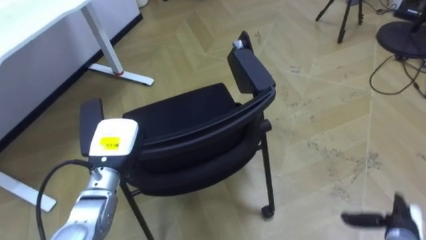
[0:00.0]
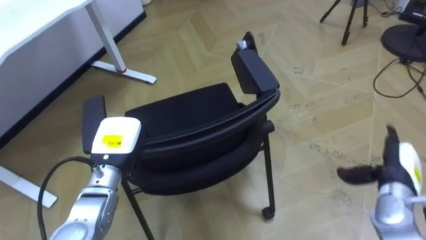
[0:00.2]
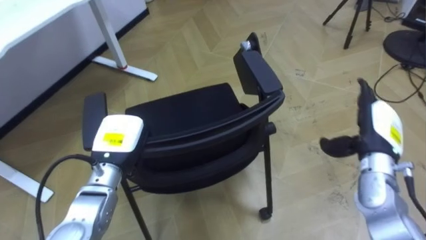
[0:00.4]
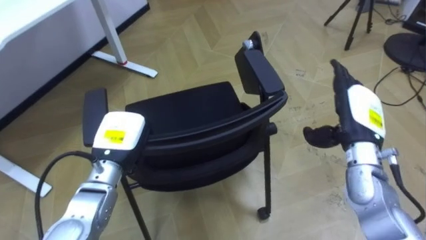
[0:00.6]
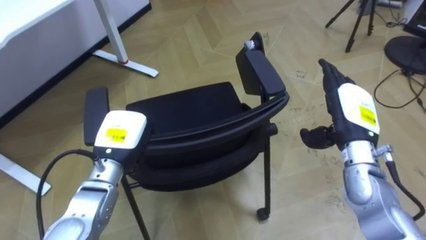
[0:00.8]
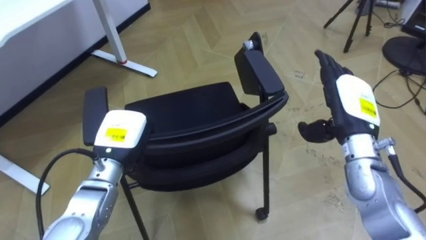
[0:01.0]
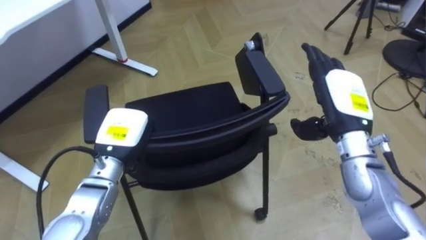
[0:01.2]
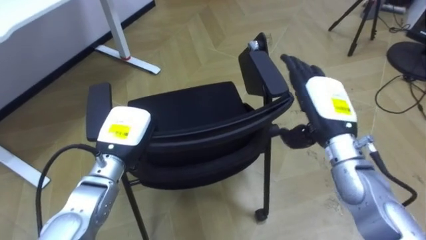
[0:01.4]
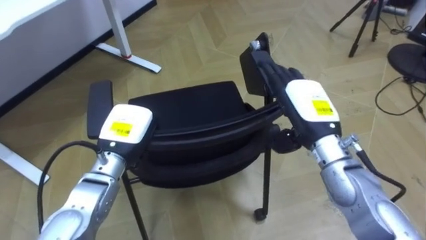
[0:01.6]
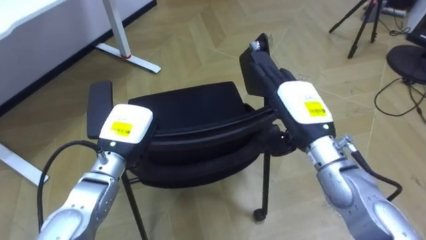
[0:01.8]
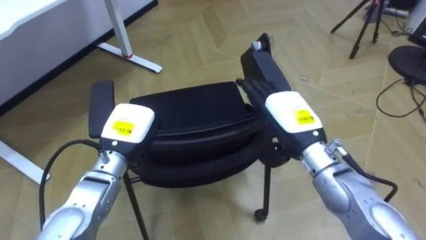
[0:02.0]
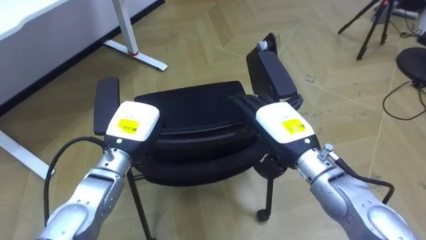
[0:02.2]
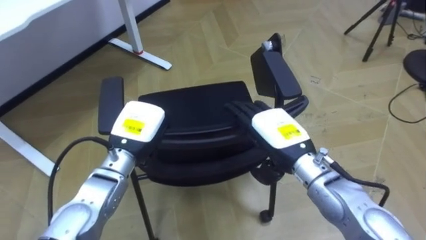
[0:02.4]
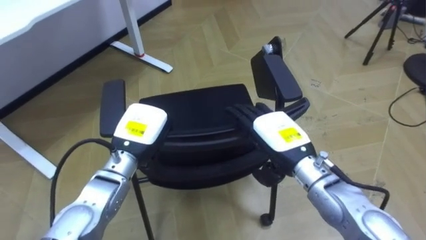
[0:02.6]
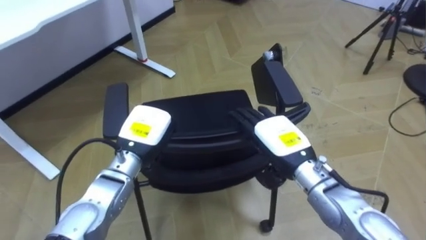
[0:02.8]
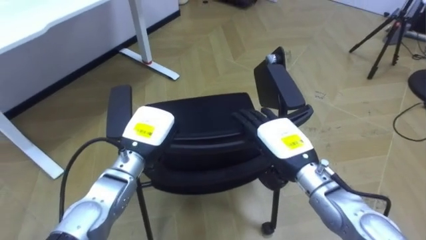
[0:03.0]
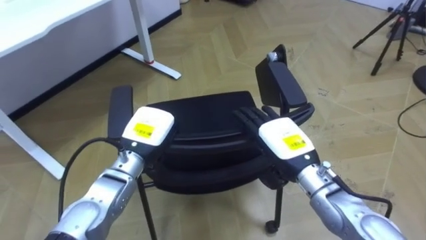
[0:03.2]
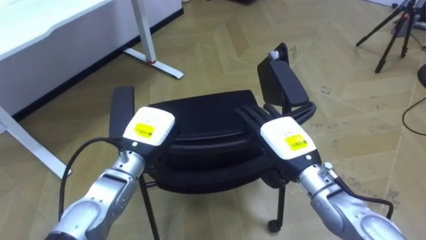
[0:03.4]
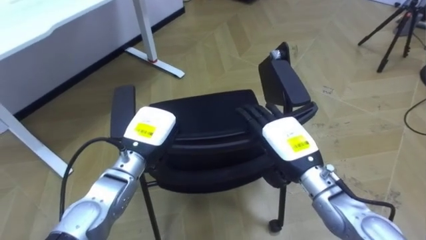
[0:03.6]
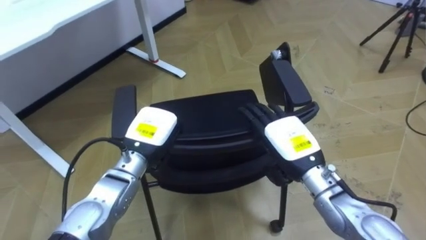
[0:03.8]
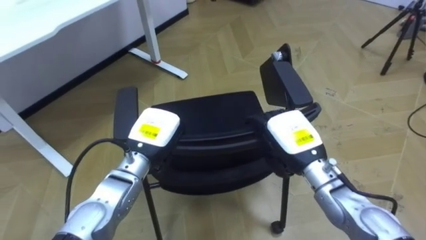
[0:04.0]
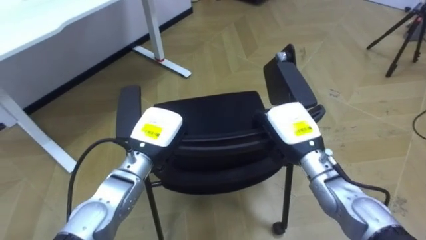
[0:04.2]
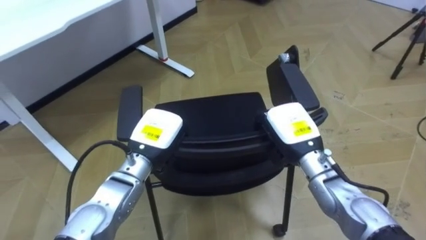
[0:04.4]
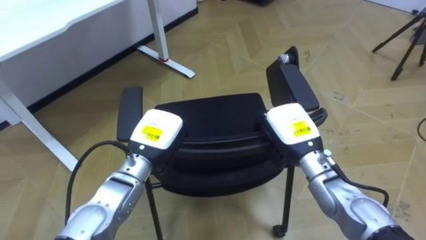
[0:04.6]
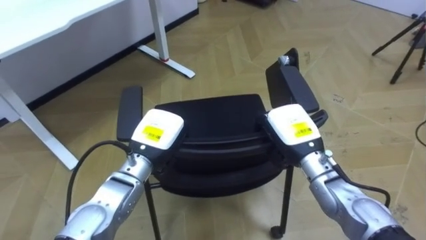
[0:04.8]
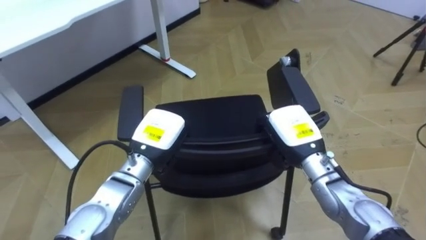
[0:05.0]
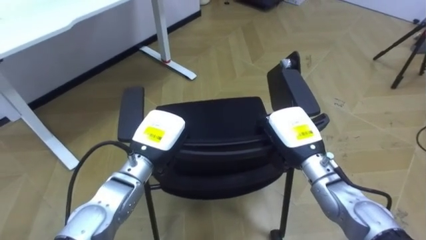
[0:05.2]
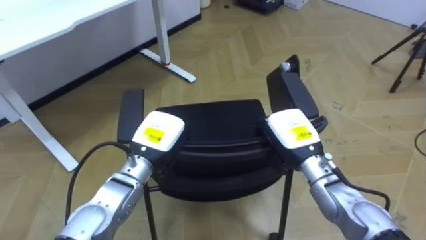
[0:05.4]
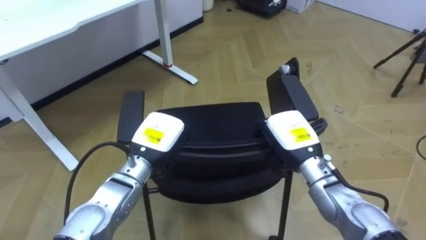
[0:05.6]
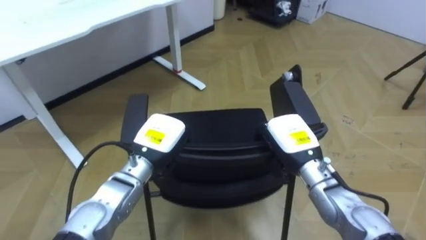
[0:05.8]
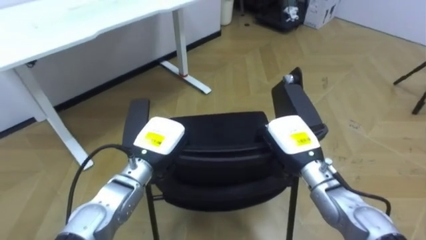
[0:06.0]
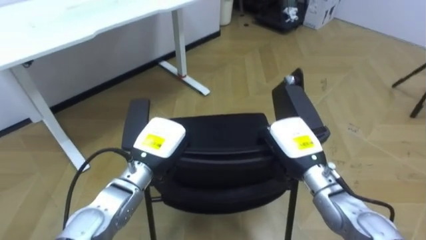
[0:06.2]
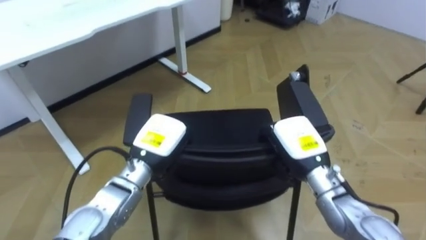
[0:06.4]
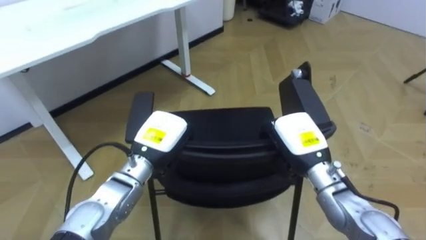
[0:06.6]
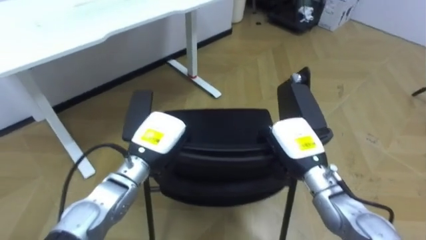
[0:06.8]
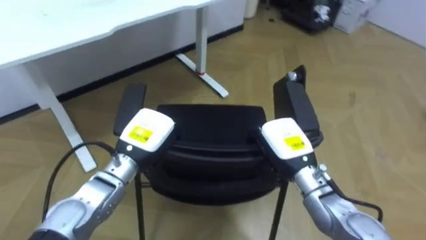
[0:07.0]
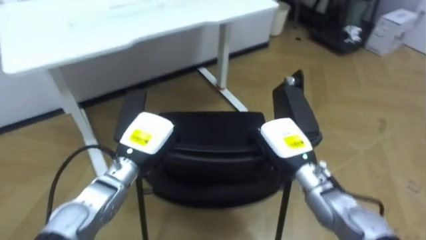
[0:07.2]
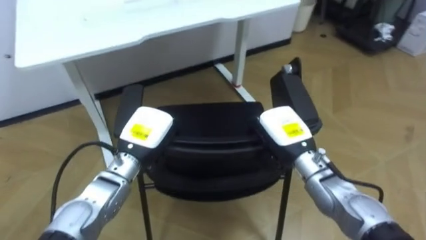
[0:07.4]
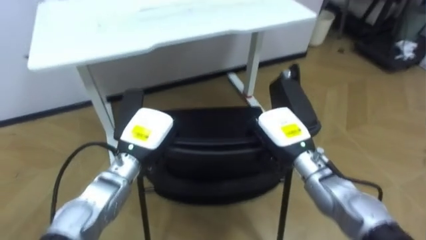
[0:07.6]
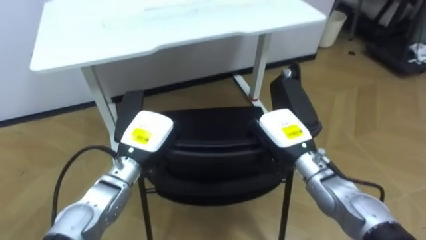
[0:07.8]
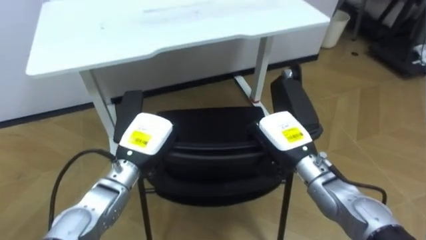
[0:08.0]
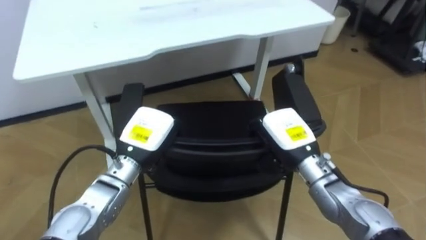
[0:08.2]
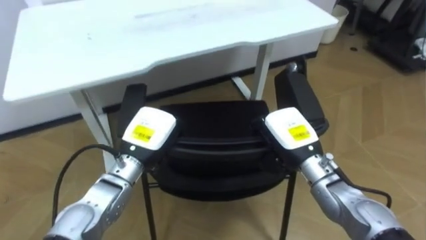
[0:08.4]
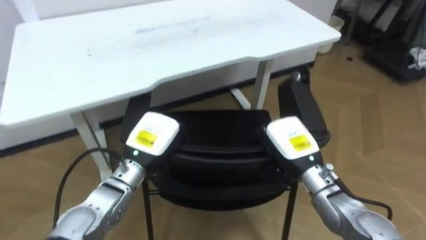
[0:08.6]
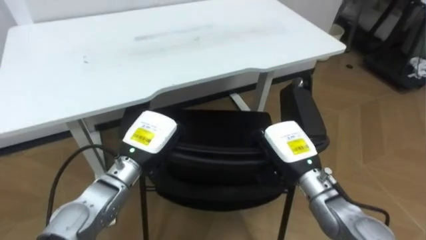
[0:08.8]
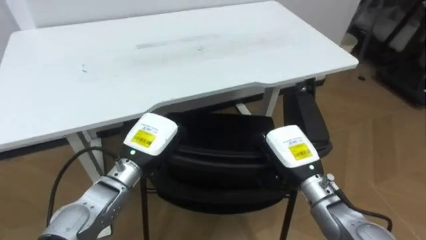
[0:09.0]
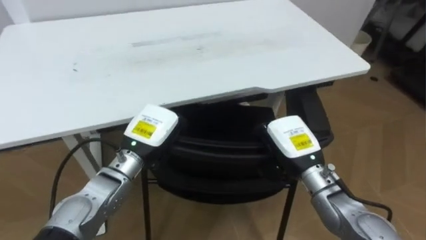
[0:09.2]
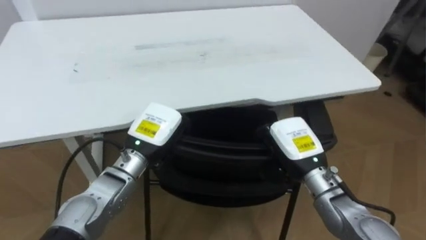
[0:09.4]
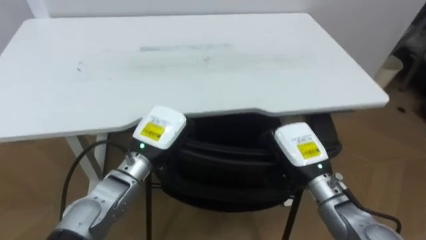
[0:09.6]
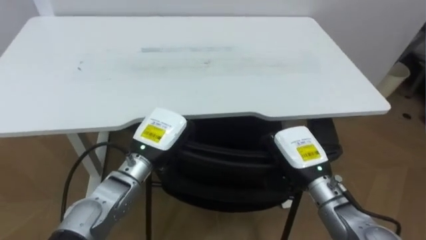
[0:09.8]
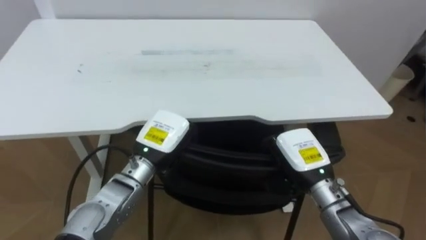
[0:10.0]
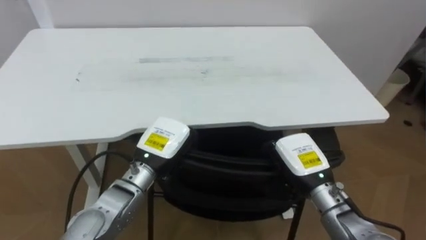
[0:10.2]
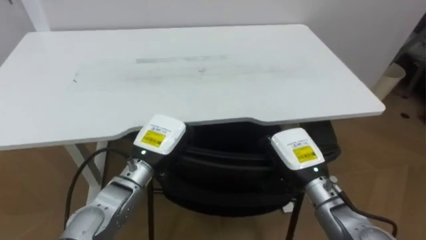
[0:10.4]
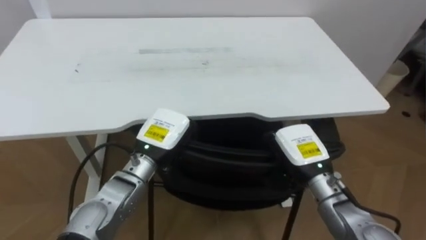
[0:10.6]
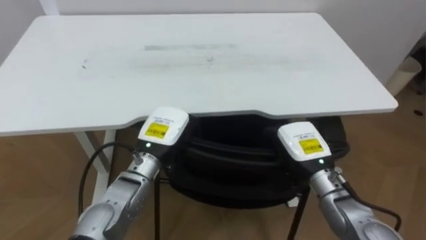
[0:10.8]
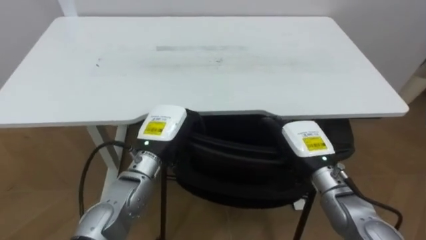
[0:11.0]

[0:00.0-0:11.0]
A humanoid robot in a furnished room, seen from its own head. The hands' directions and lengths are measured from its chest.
Task of the whole recording: Push the chair under the table.
0:00.0 to 0:01.6: The right hand heads upward, to the left and forward, covering about 35 cm.
0:01.6 to 0:03.2: The right hand goes roughly 5 cm downward.
0:03.2 to 0:04.8: The right hand closes.
0:06.2 to 0:07.8: The robot's body swings some 20 degrees to its left.
0:09.4 to 0:11.0: The right hand opens.

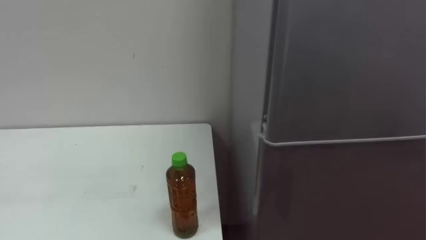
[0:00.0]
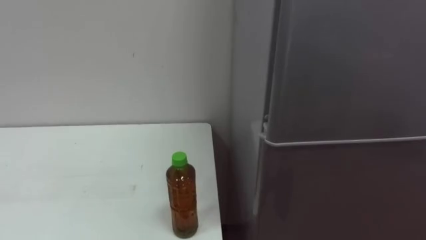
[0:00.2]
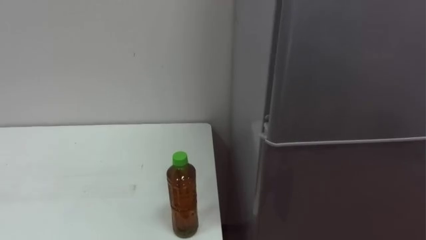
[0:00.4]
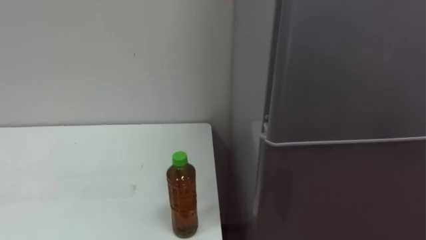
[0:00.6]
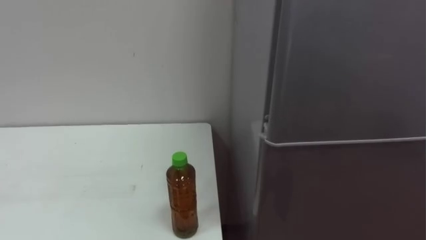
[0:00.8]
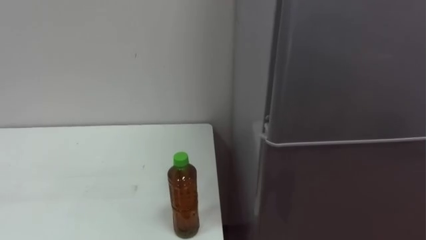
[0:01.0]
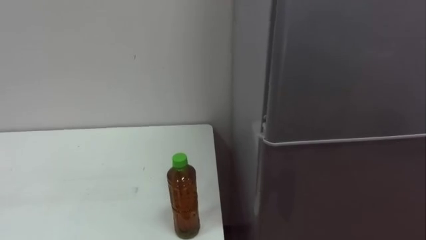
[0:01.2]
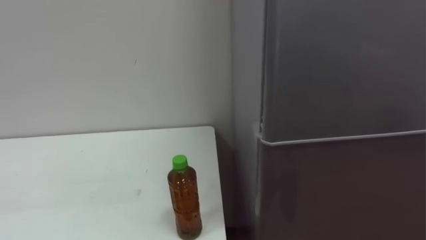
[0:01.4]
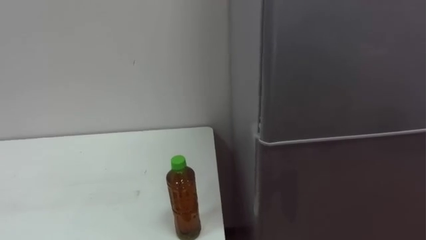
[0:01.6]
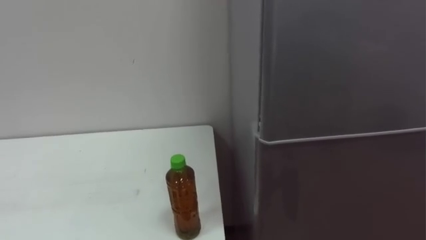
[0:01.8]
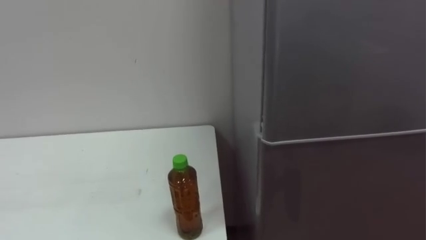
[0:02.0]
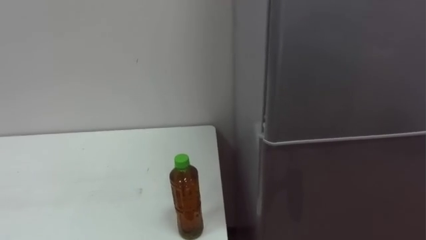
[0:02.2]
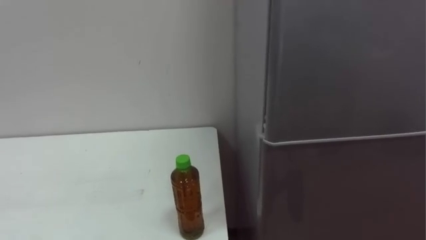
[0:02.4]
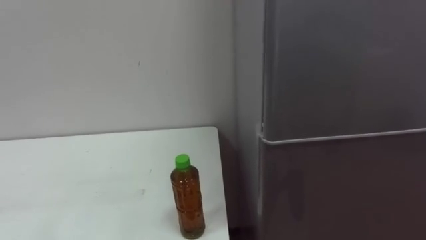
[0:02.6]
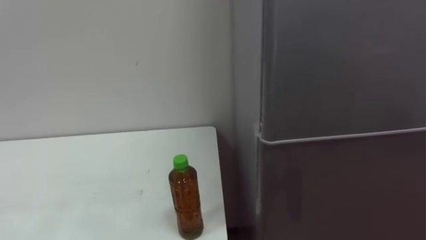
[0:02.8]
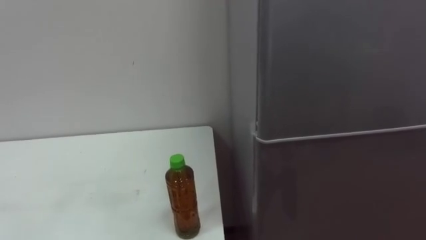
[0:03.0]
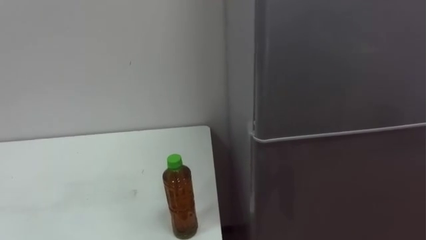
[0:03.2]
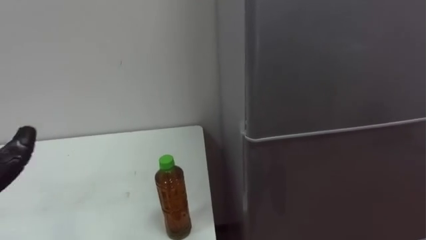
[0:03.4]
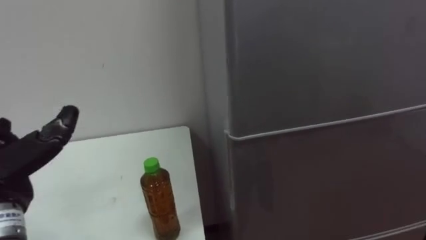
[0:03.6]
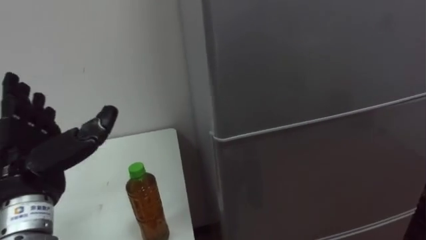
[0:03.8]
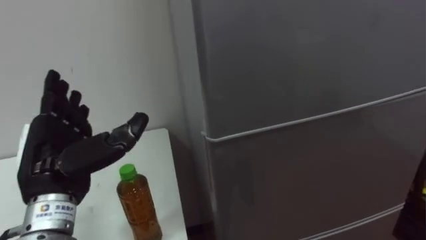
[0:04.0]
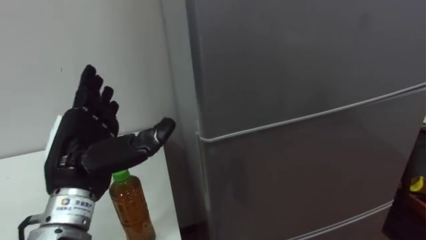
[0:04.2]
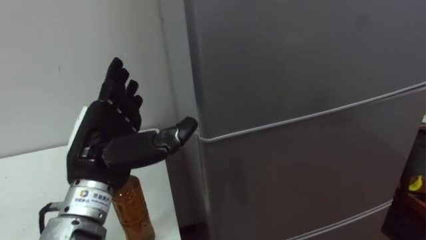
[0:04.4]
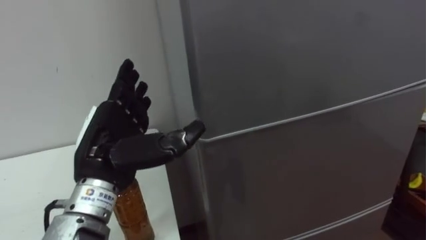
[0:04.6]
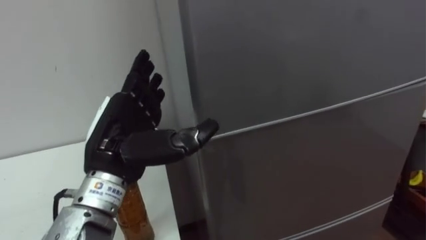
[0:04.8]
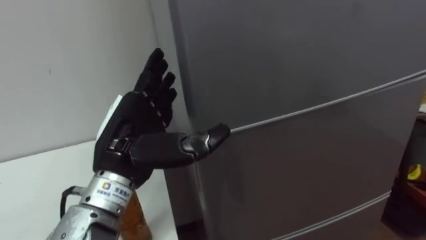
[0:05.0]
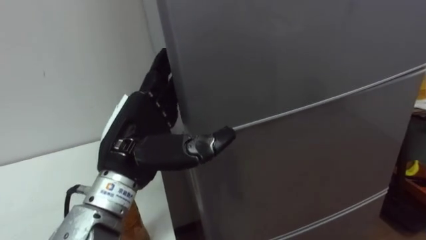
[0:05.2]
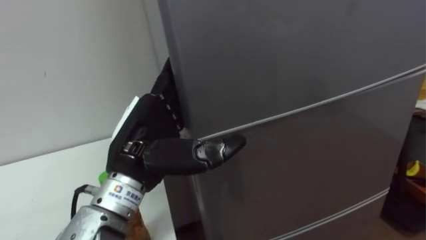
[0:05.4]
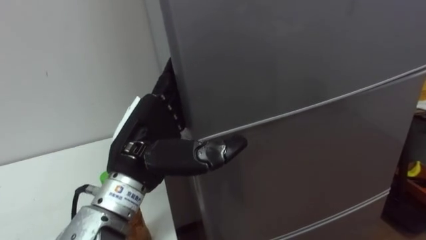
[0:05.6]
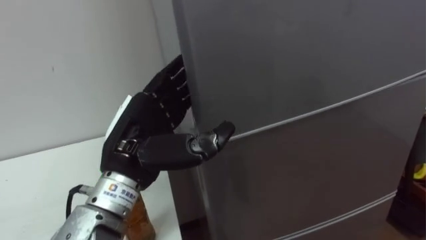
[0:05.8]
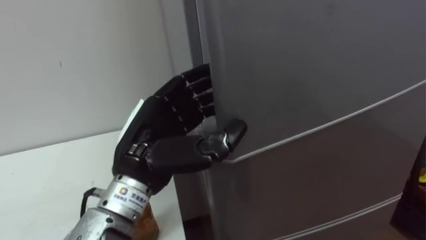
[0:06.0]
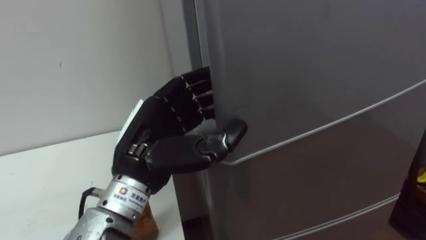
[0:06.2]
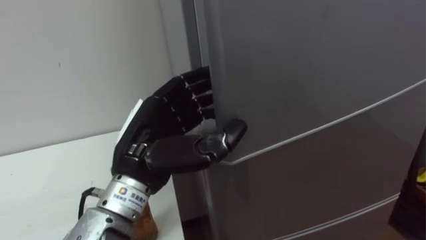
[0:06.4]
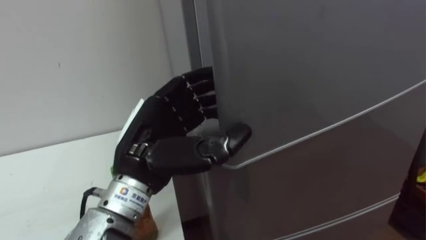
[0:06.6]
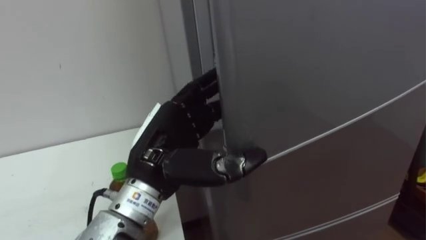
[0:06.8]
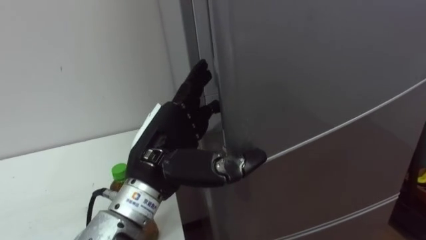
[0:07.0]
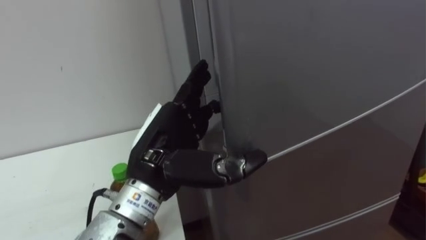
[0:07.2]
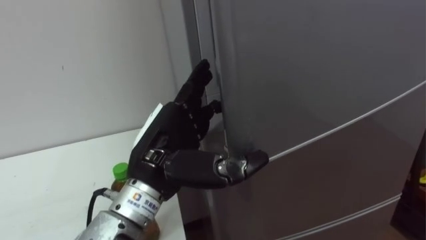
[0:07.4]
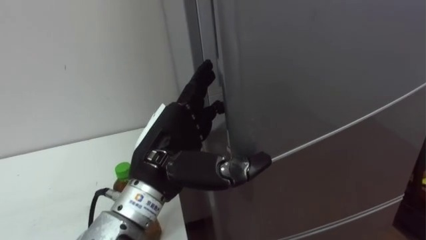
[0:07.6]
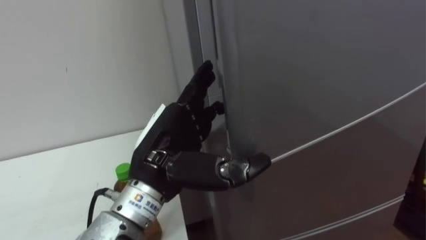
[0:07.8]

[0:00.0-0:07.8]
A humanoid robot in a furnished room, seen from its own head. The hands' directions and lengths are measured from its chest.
Task of the whole recording: Open the upper refrigerator door, put the drink from the table into the refrigerator, and then close the refrigerator door.
0:04.6 to 0:06.2: The left hand goes approximately 5 cm to the right, and closes.
0:06.2 to 0:07.8: The left hand opens up.
